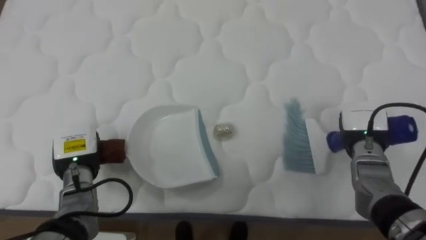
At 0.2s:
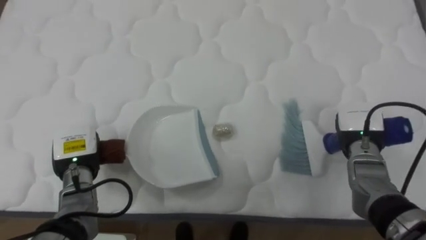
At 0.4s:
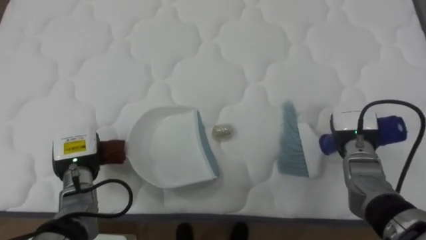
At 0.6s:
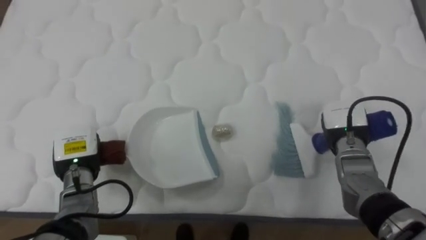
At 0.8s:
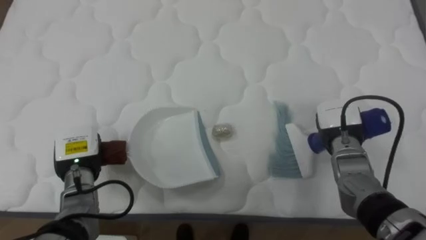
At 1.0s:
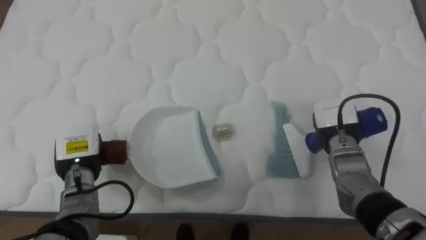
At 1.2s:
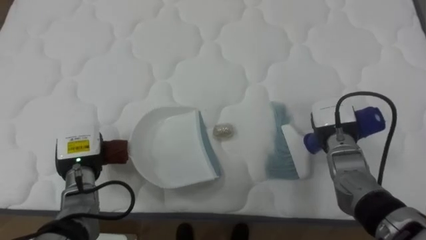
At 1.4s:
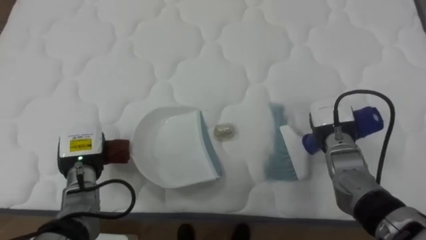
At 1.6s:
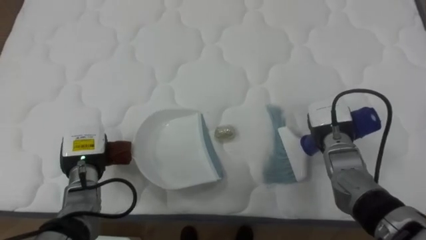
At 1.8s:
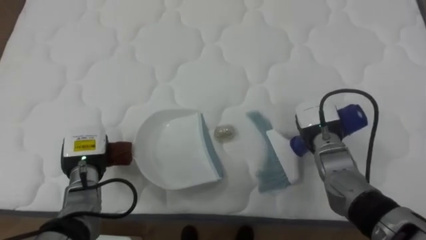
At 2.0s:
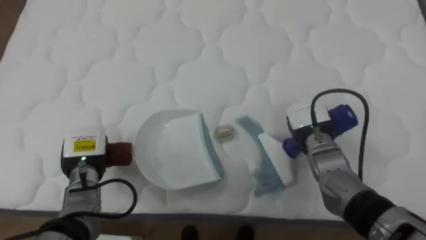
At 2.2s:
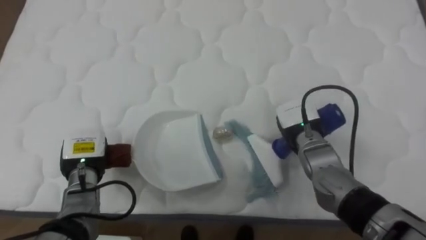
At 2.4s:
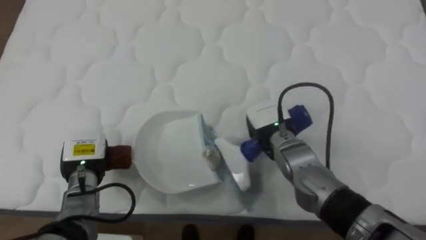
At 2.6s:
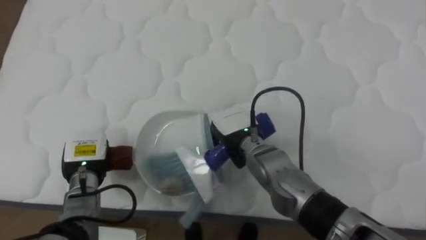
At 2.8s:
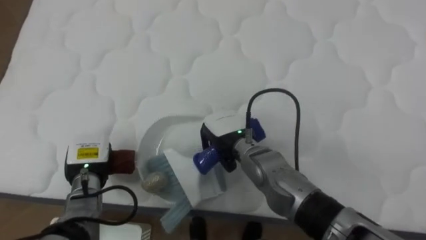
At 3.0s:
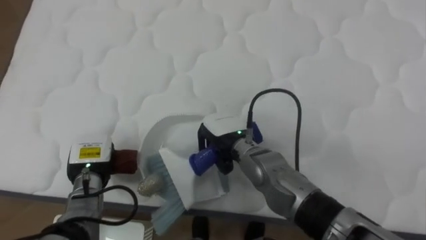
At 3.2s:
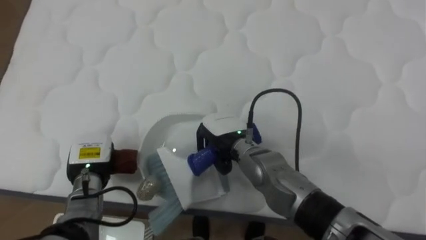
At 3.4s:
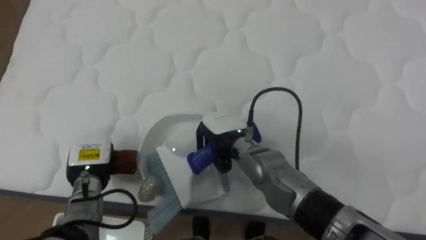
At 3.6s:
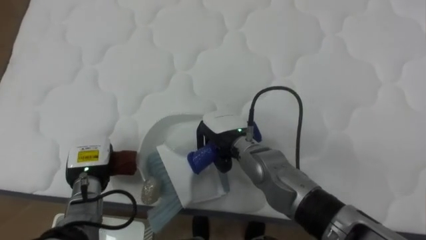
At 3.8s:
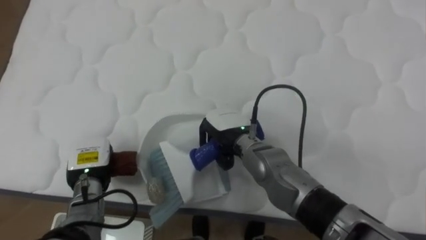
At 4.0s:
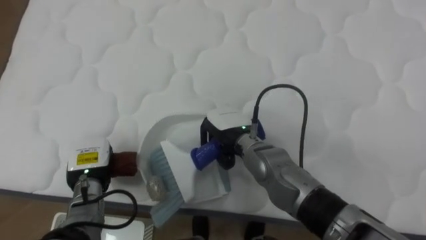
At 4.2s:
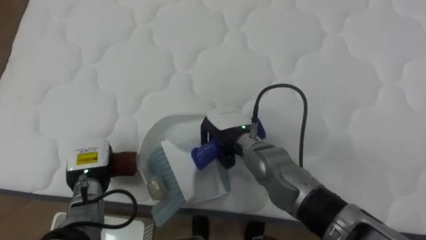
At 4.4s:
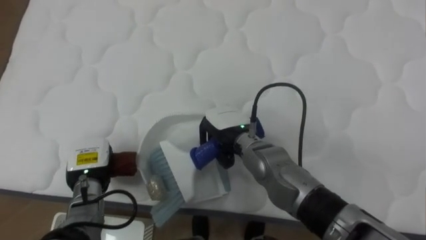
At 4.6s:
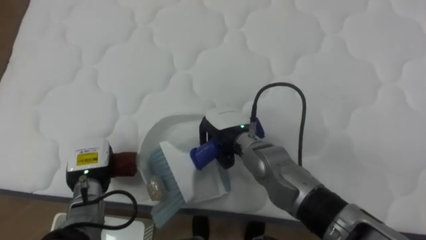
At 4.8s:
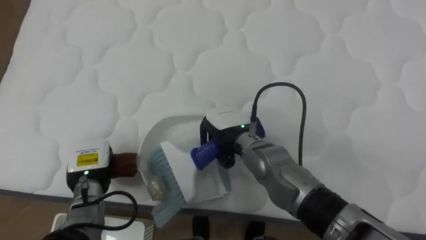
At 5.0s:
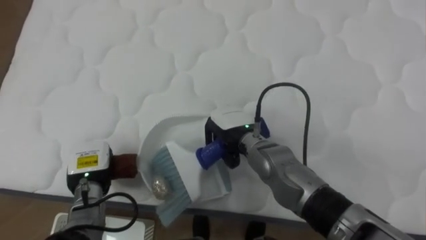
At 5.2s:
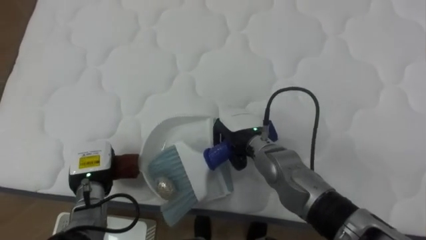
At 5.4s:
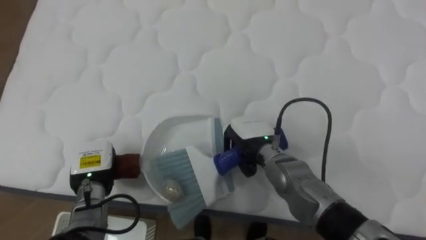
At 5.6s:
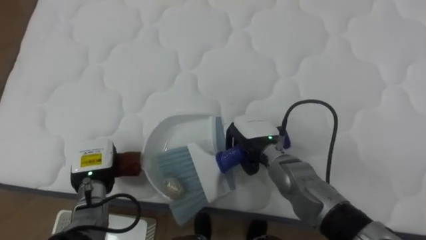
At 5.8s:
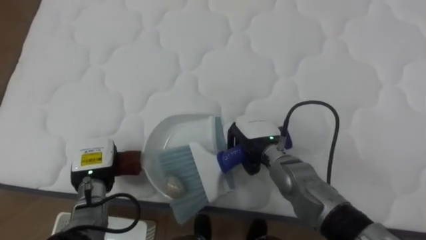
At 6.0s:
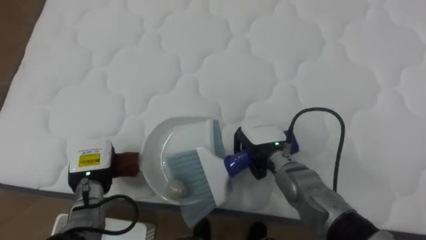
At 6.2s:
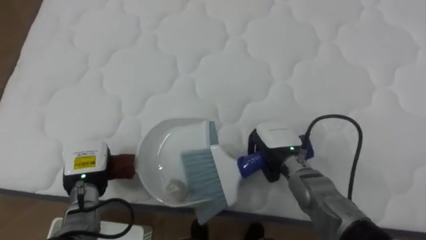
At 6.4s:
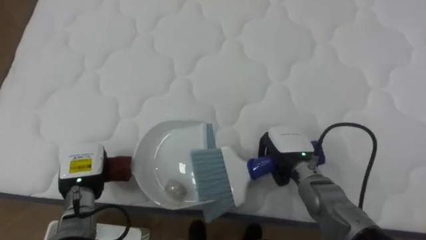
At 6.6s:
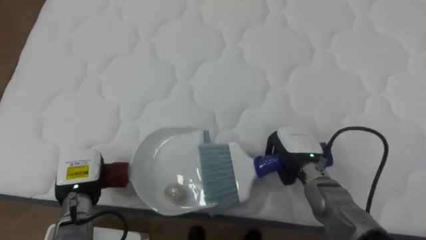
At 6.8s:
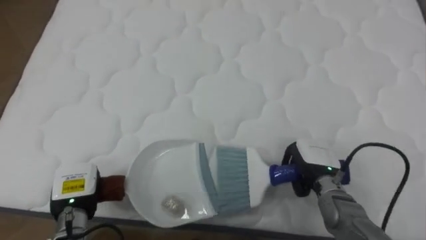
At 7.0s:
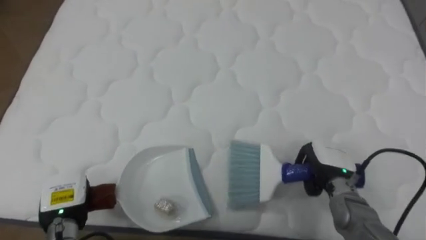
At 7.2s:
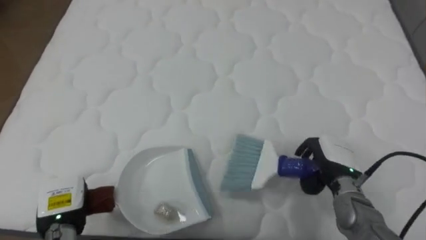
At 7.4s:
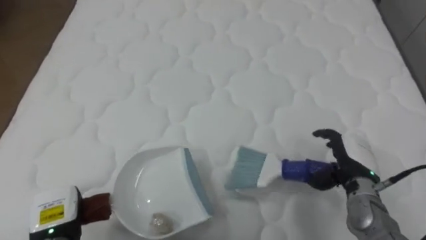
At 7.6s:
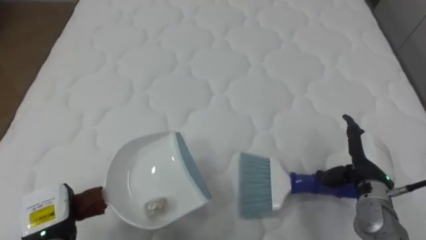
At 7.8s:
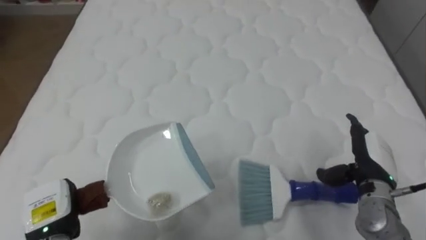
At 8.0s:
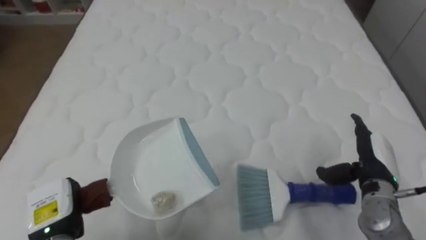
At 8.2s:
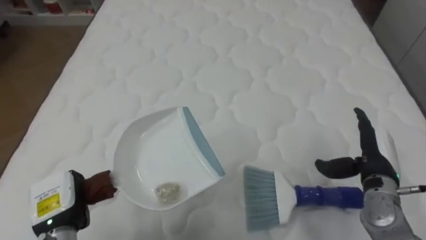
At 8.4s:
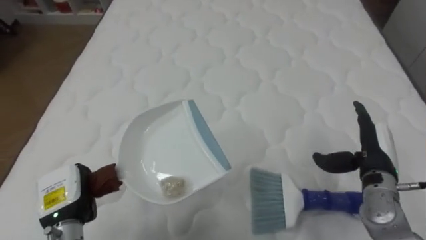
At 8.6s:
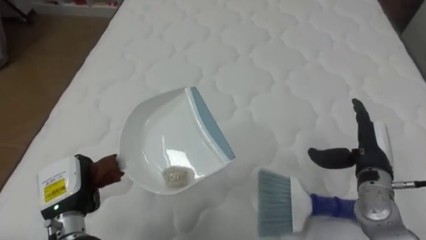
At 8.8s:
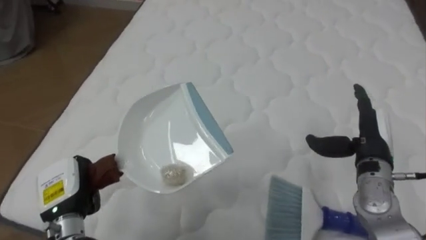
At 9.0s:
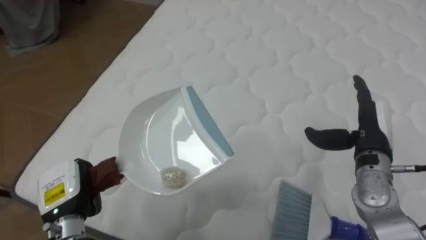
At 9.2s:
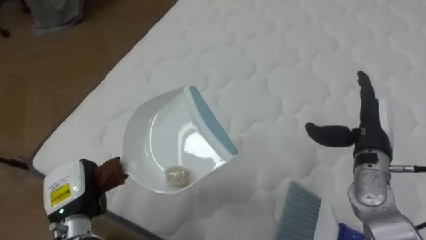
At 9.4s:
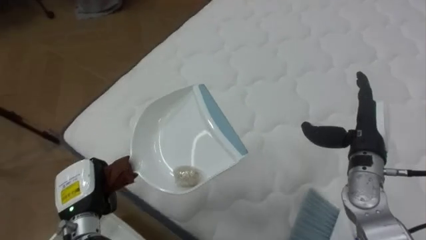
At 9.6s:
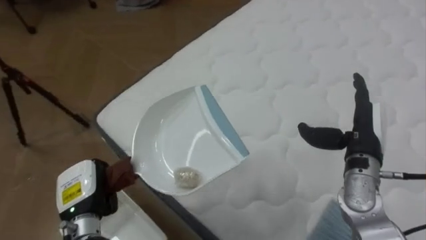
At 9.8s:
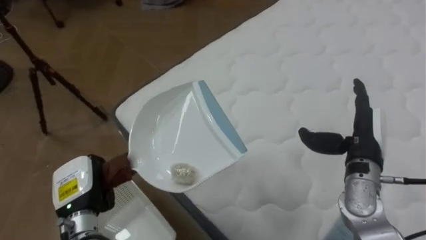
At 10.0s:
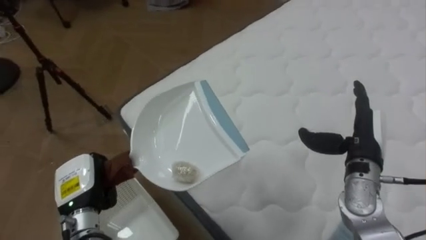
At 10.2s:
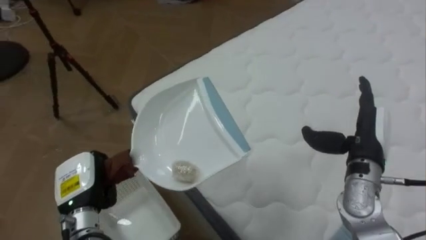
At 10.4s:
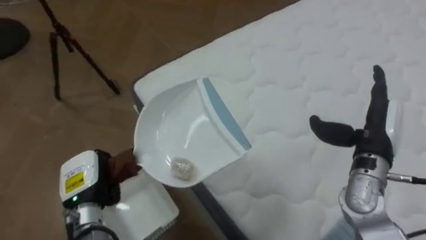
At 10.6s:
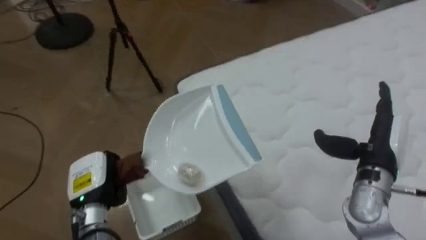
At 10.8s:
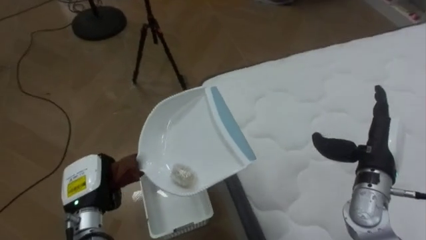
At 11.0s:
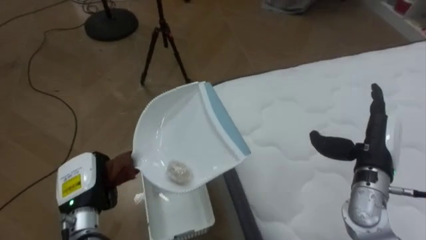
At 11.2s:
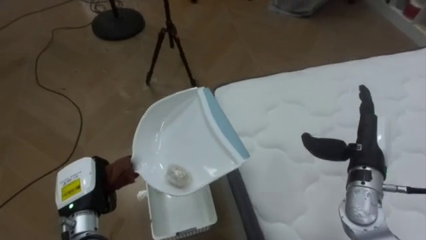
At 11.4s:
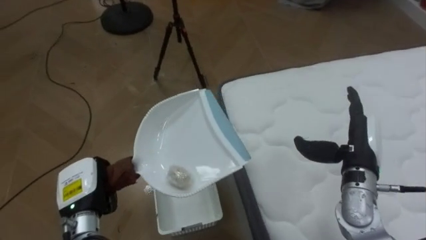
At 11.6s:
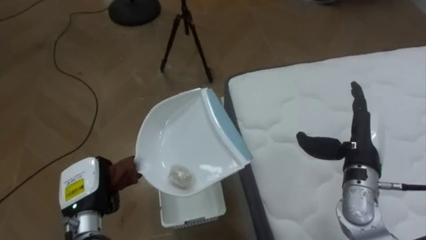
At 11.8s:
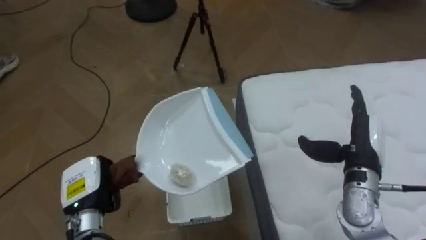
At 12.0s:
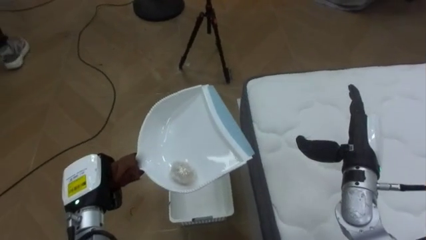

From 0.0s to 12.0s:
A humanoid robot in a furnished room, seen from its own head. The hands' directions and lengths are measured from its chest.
Task of the whole recording: Pick up the brush on your right and the dustpan on your left. Use the brush to sweep the crumpled paper on the bed into the dustpan, then turn left and empty it into the basket.
From 0.0s to 1.6s: The right hand travels to the left by roughly 5 cm.
From 1.6s to 3.0s: The right hand heads to the left, covering roughly 20 cm.
From 4.4s to 6.0s: The right hand shifts approximately 10 cm to the right.
From 6.0s to 7.6s: The right hand goes about 20 cm to the right, and opens up; the left hand goes about 10 cm backward and to the left.
From 7.6s to 9.0s: The right hand heads upward, covering roughly 5 cm; the left hand moves about 5 cm.
From 9.0s to 10.4s: The robot faces approximately 35 degrees further to its left.
From 10.4s to 12.0s: The robot turns to its left by about 25 degrees.

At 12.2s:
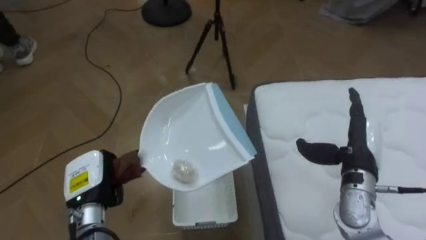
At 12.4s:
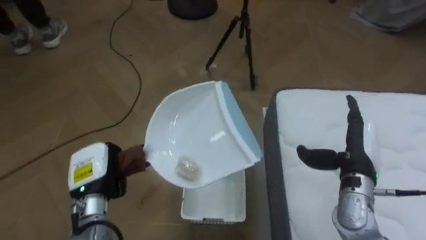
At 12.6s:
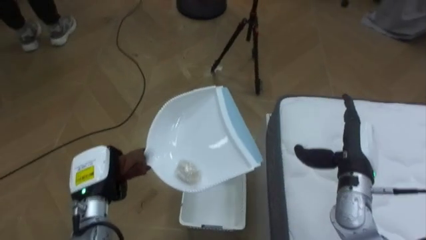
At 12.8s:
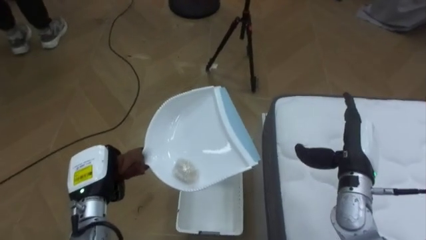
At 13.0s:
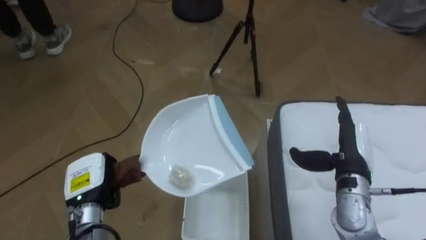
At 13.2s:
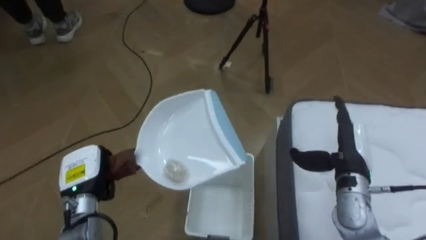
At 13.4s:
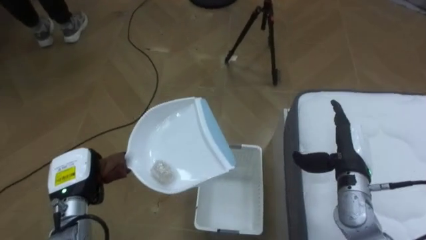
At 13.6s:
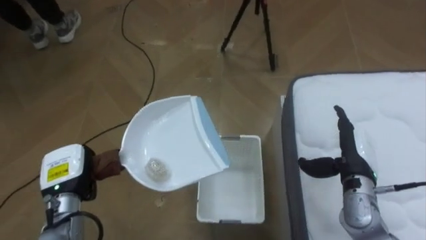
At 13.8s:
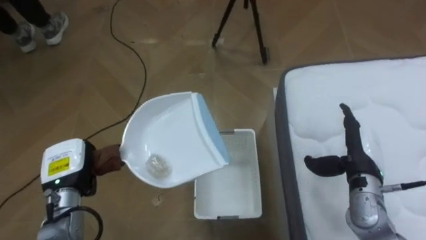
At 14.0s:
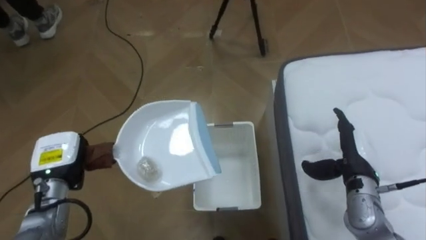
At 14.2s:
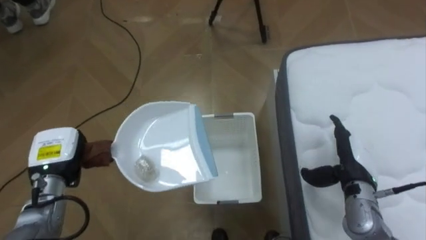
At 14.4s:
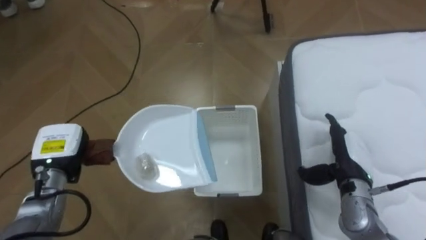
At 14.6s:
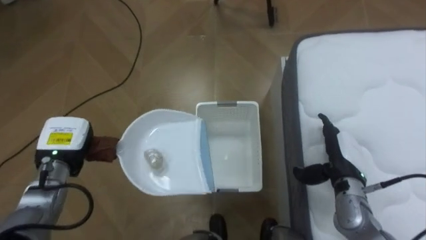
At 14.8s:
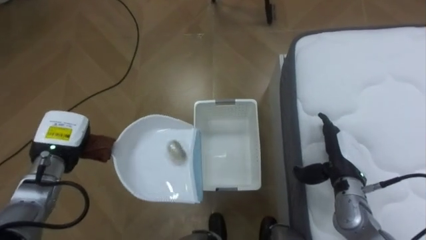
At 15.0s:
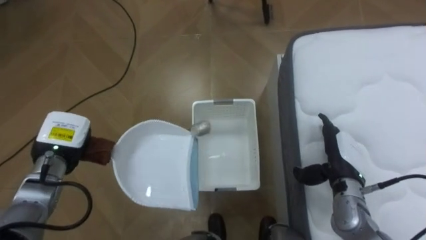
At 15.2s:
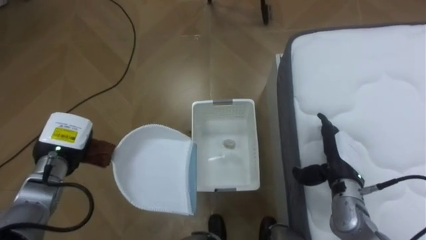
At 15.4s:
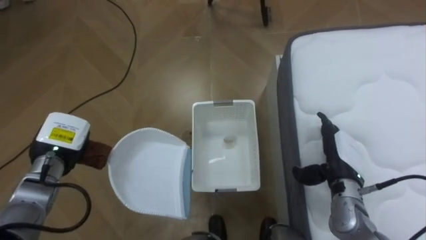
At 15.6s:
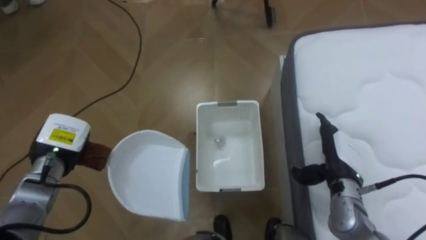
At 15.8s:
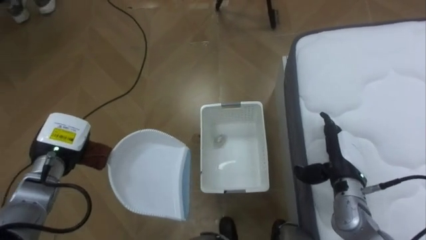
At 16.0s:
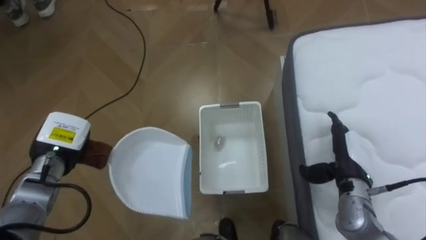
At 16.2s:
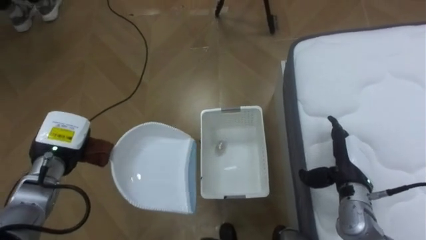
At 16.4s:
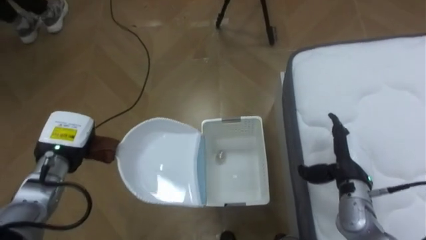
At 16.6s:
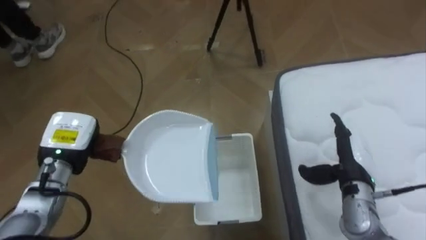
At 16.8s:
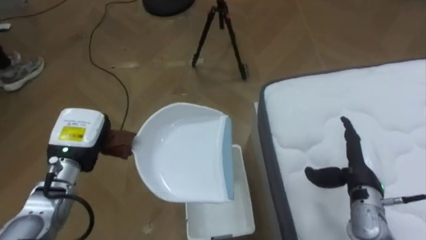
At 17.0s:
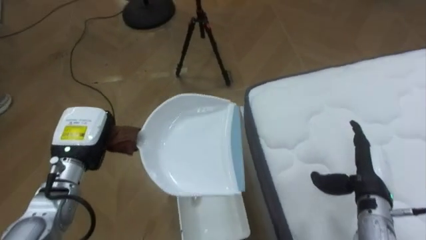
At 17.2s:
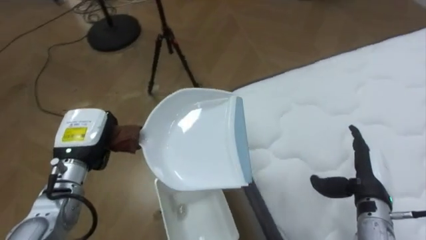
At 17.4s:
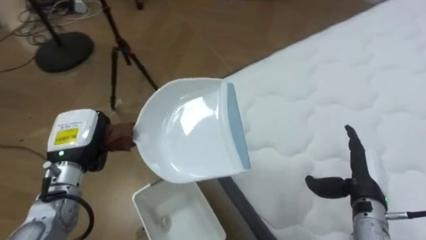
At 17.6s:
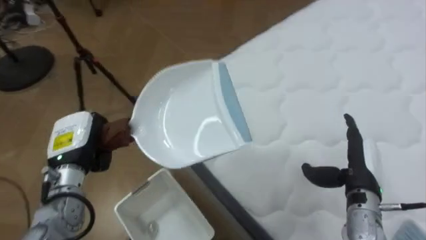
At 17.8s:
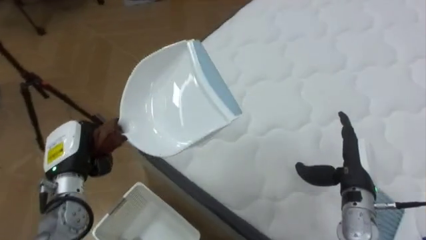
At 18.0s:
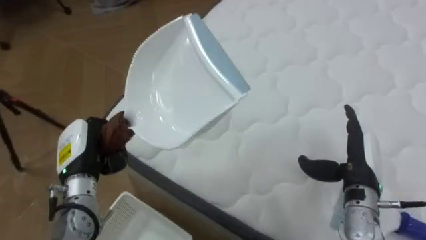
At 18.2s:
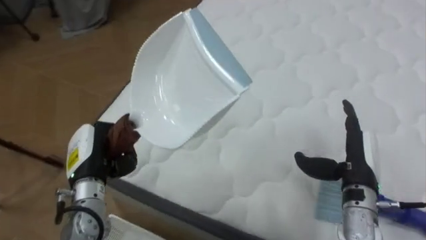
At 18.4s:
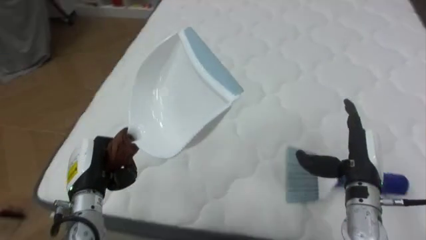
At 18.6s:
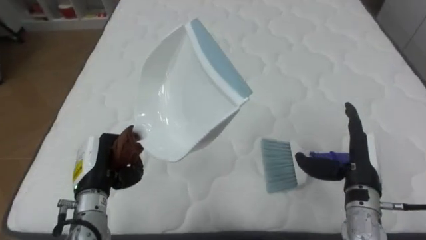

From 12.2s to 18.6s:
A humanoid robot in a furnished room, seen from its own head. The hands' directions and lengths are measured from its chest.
Task of the whole recording: Pick up the brush on your right and the dustpan on your left. Use the brush to sweep the crumpled paper on the bed into the dustpan, then turn left and empty it into the basket.
From 12.2s to 13.8s: The left hand ends up approximately 5 cm from where it was.
From 13.8s to 15.4s: The left hand shifts by some 5 cm.
From 15.4s to 17.0s: The robot turns to its right by approximately 15 degrees. The left hand changes place by roughly 5 cm; the right hand ends up some 5 cm from where it was.
From 17.0s to 18.6s: The robot's body swings roughly 75 degrees to its right. The left hand ends up approximately 5 cm from where it was.
